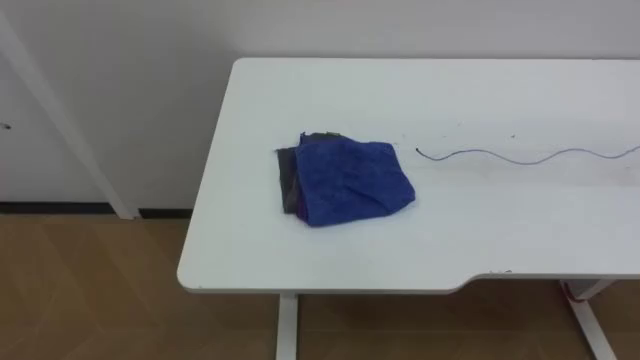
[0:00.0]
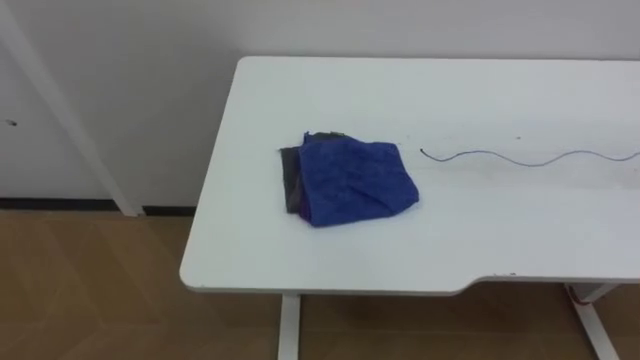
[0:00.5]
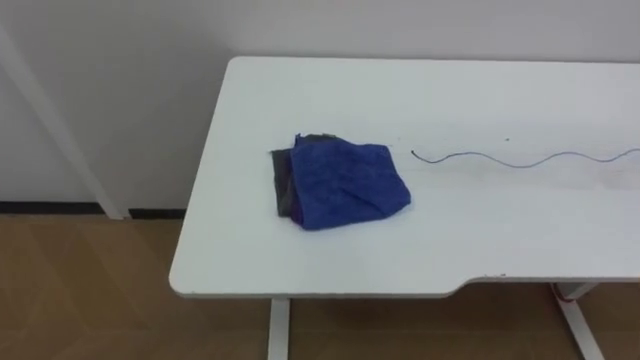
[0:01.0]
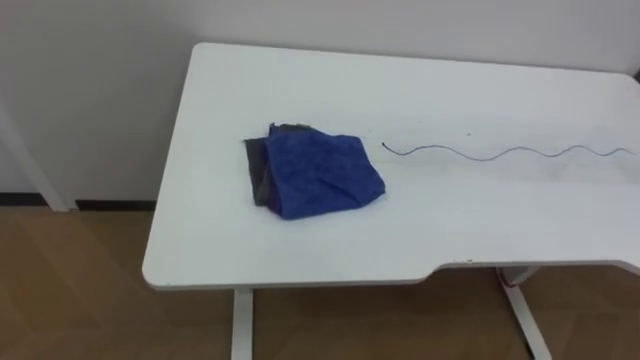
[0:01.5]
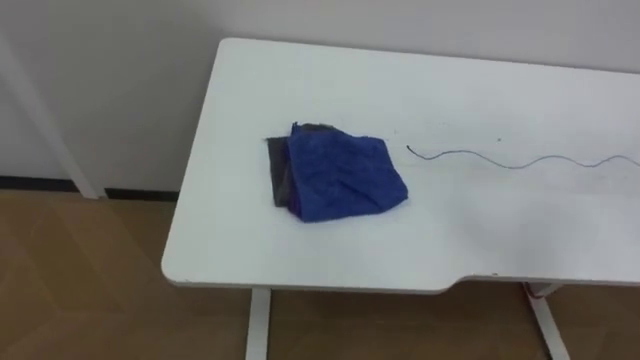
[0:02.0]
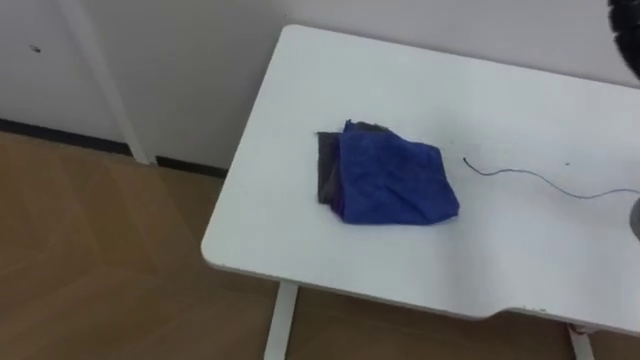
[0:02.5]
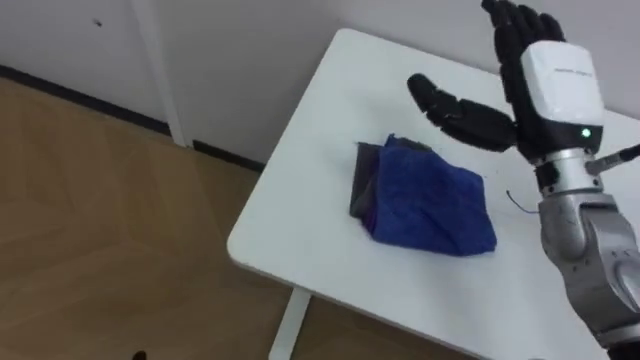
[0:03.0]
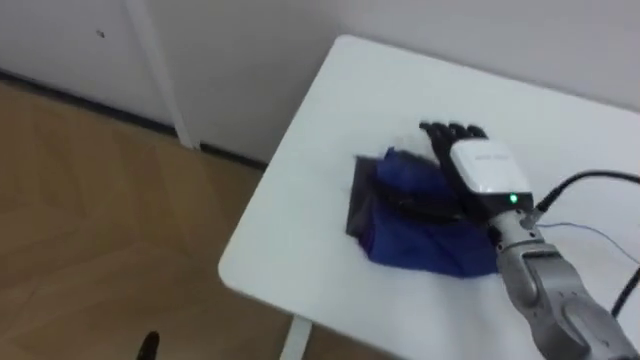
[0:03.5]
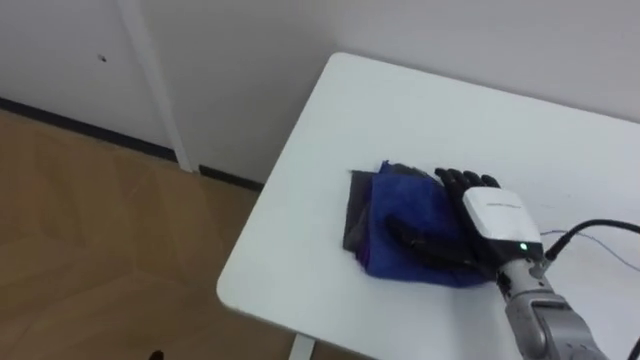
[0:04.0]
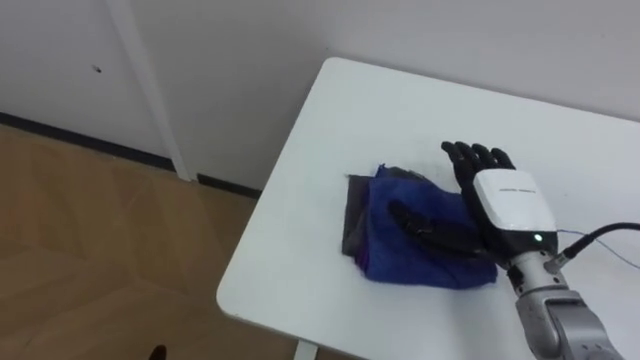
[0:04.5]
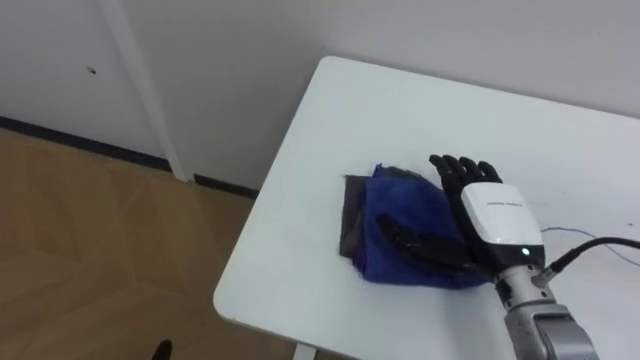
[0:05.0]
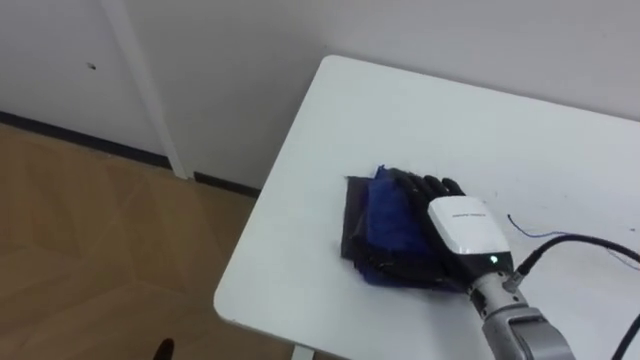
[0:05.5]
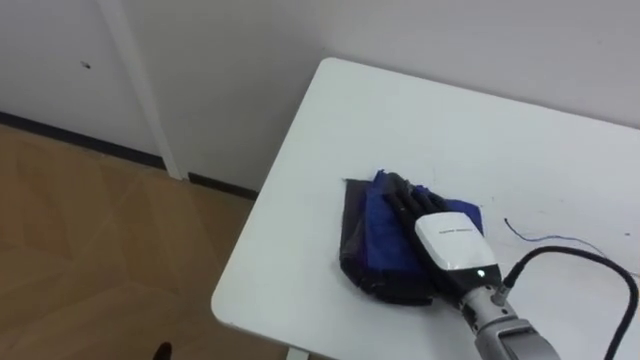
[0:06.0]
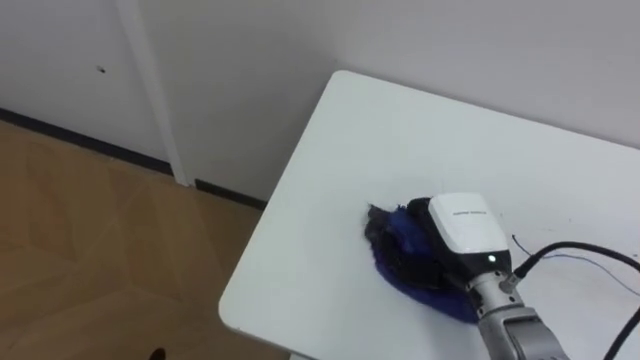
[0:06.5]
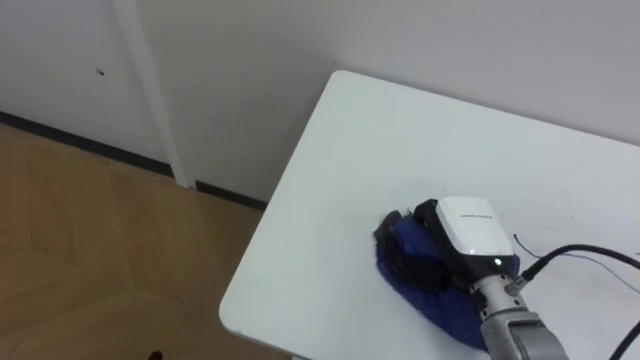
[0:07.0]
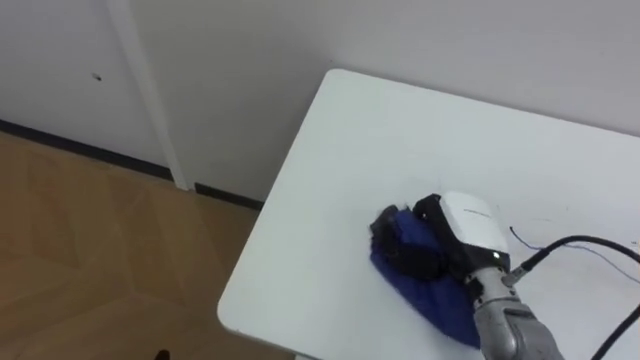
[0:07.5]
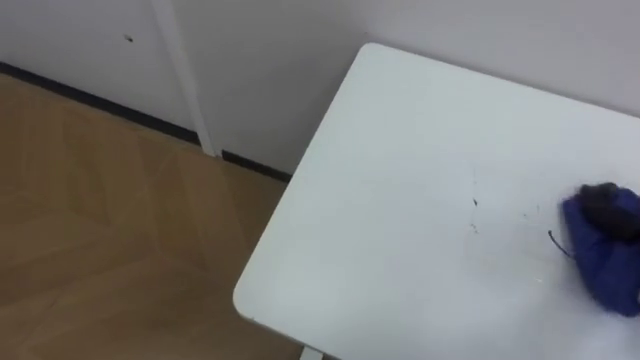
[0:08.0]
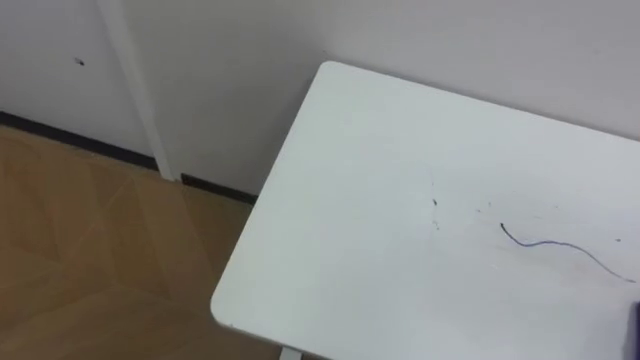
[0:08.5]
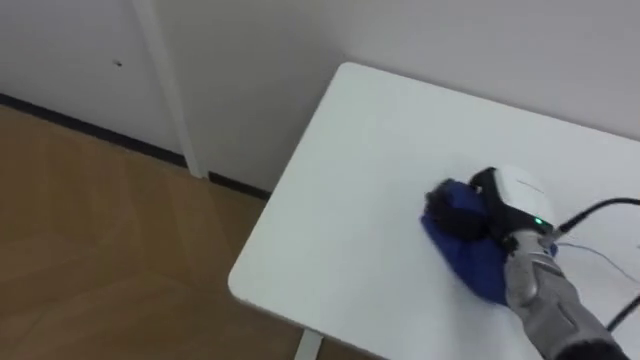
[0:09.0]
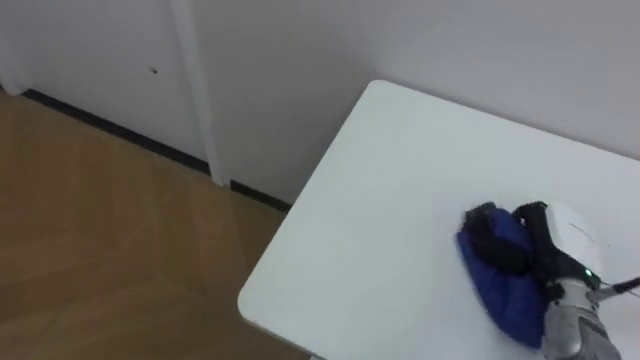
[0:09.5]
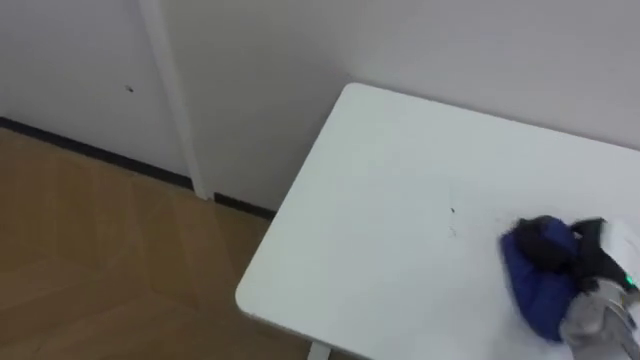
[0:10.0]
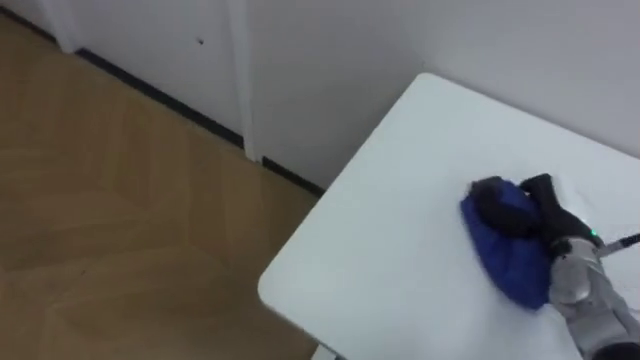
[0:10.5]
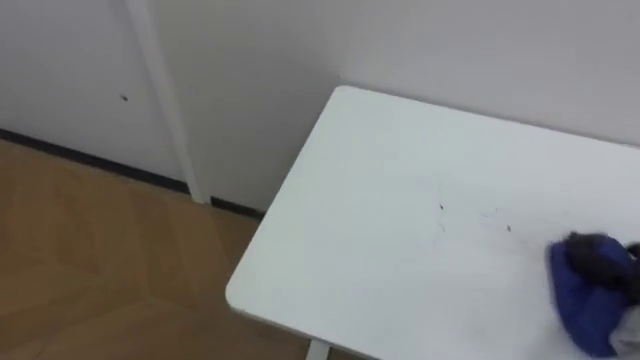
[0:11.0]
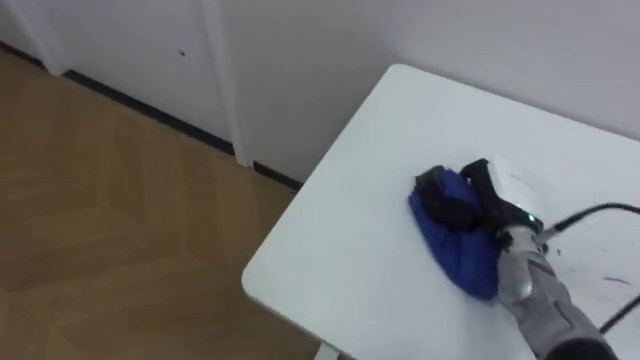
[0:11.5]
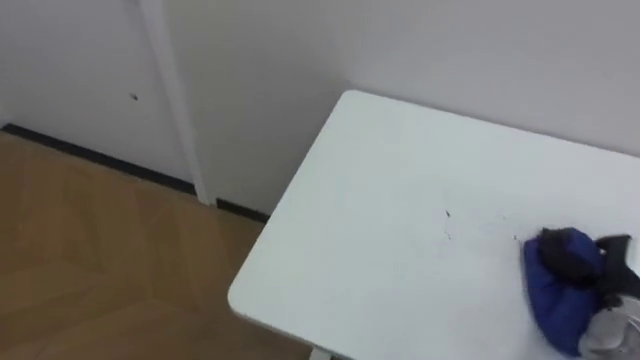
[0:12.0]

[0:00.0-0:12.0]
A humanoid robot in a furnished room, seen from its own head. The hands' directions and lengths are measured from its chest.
Task of the whole recording: Wipe the blue pen marks off the table with the rag.
0:04.0 to 0:06.0: The right hand shifts approximately 5 cm to the left.

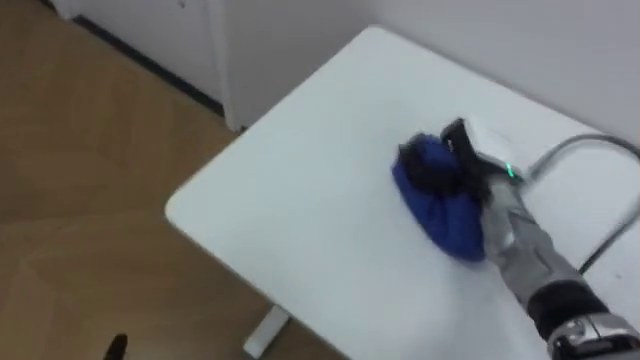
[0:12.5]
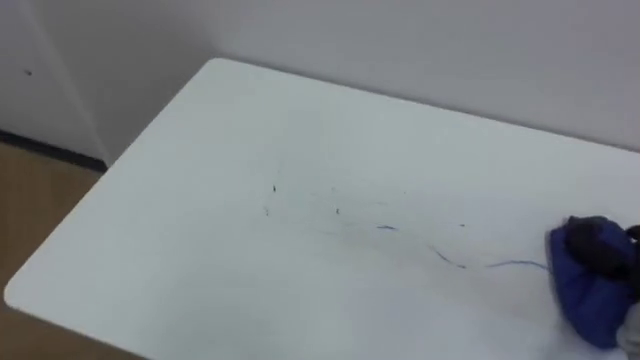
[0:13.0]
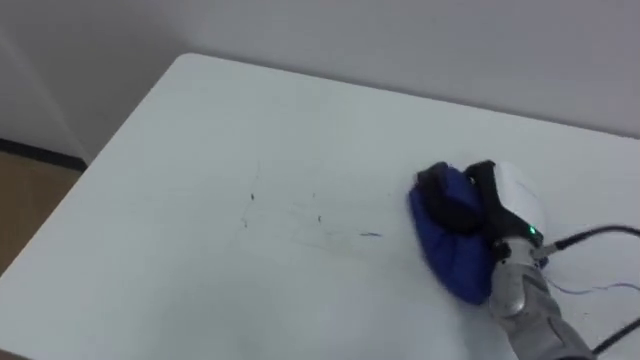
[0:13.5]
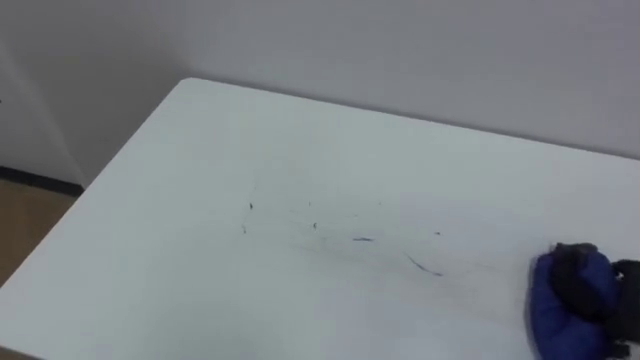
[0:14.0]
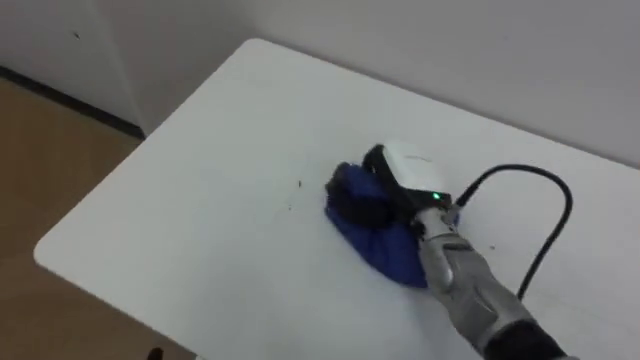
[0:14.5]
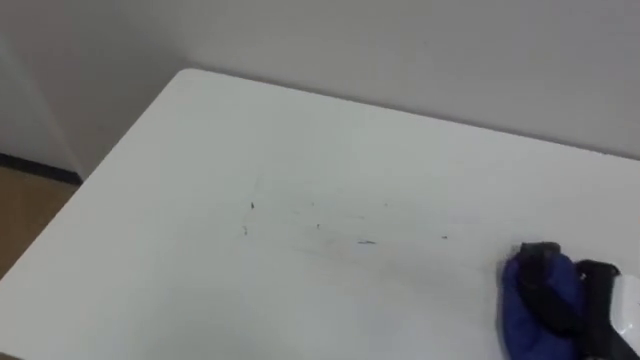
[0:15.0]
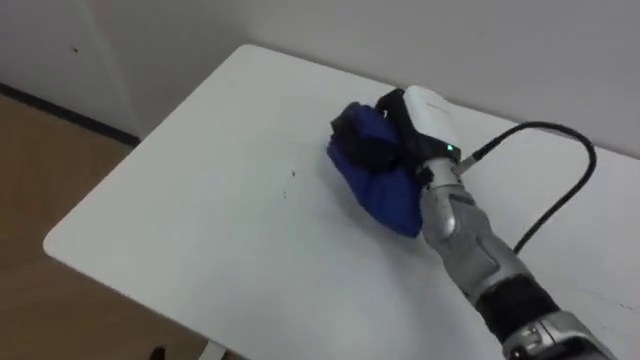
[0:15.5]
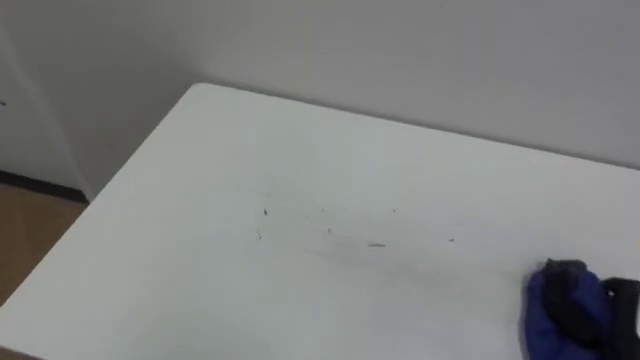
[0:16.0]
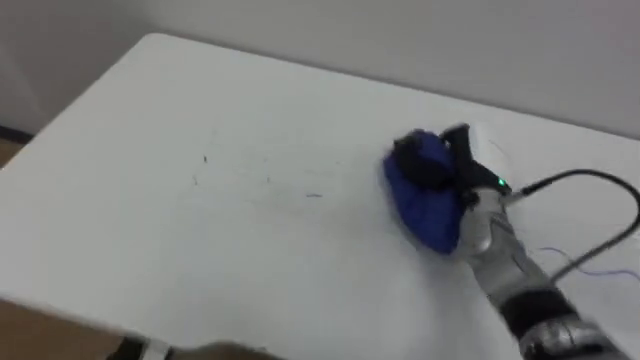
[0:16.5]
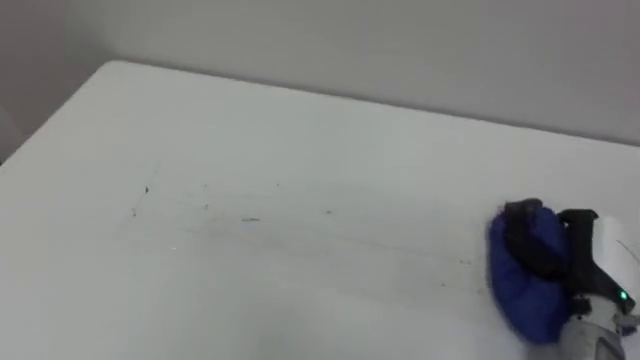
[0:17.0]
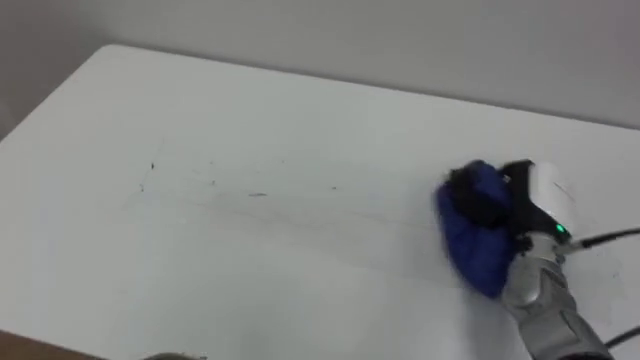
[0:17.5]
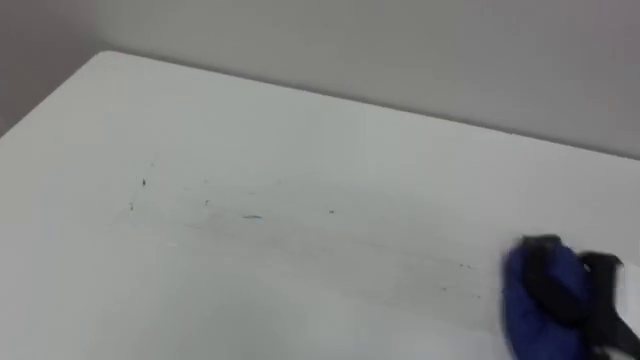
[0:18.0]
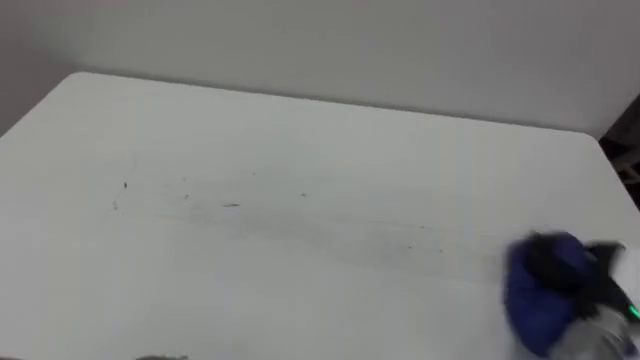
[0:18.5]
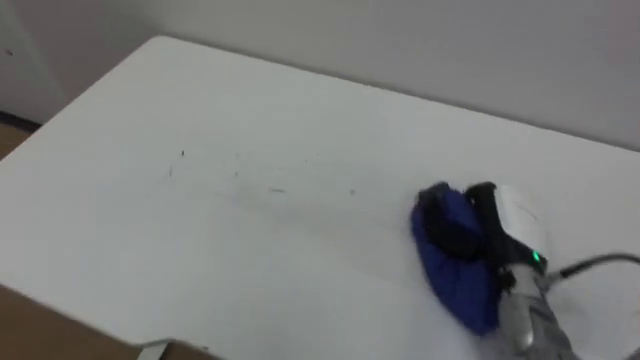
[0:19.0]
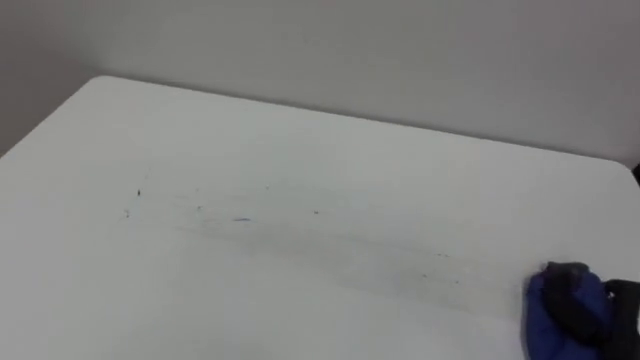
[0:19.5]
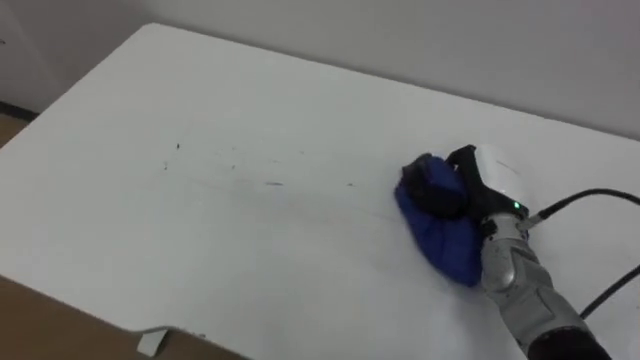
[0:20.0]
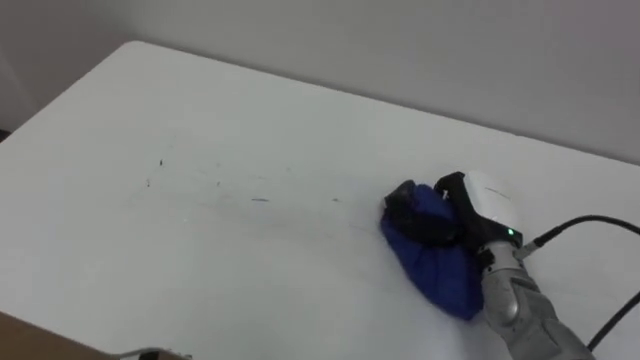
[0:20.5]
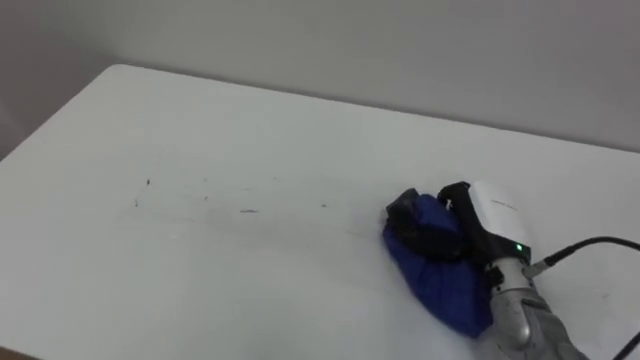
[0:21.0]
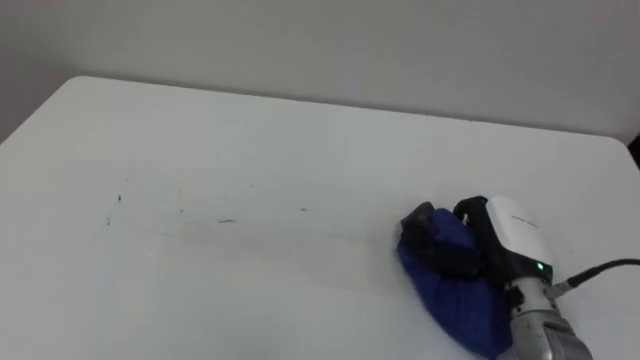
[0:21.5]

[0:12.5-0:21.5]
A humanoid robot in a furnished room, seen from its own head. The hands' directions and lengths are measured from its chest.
Task of the whole recording: Wipe the blue pen marks off the table with the rag.
0:14.5 to 0:17.0: The right hand moves left and right over some 25 cm, changing direction 4 times.
0:19.5 to 0:21.5: The right hand is displaced to the left and forward by approximately 20 cm.
